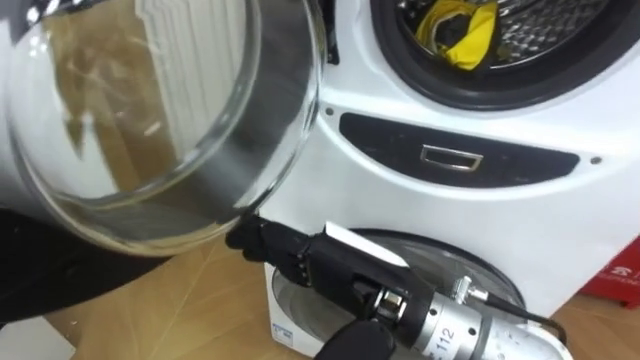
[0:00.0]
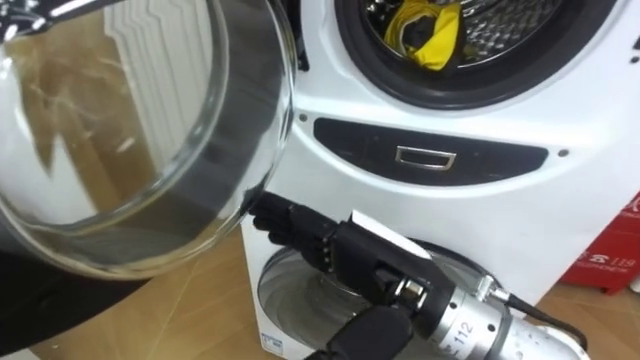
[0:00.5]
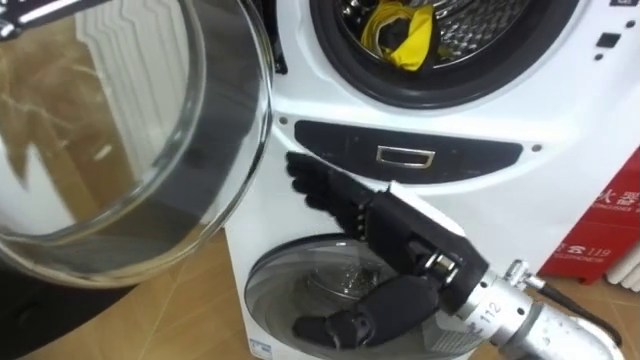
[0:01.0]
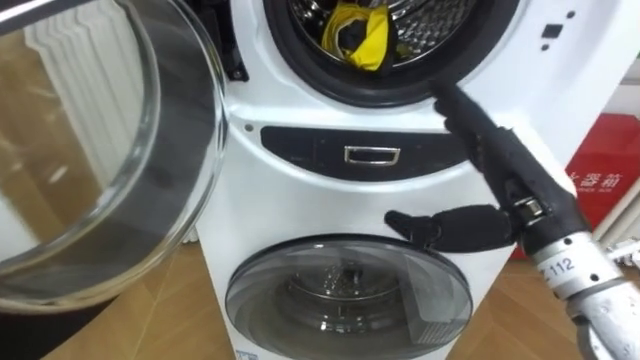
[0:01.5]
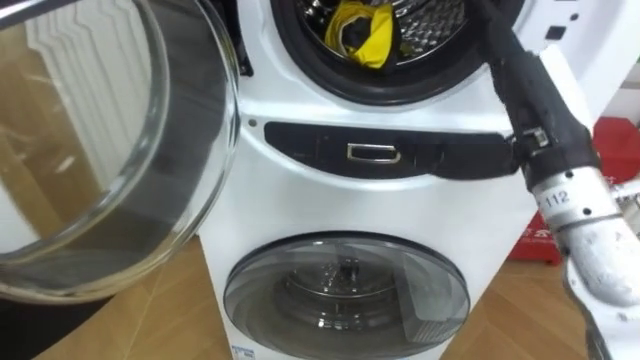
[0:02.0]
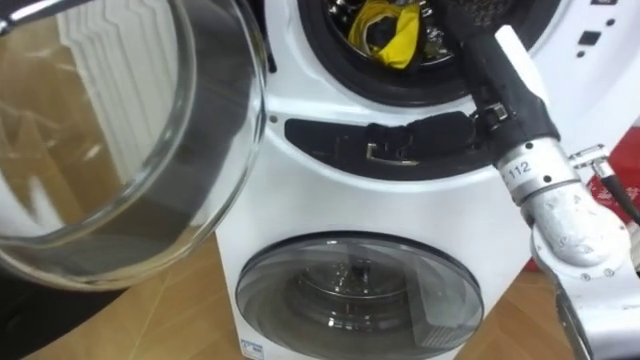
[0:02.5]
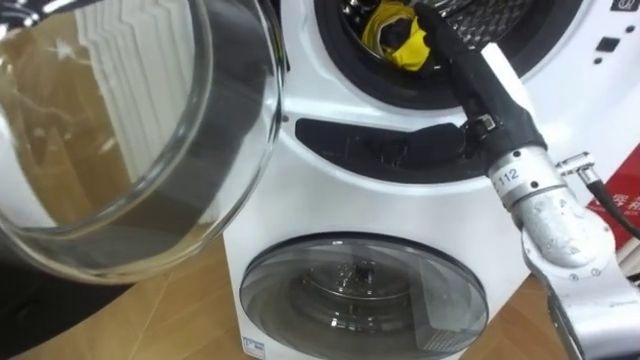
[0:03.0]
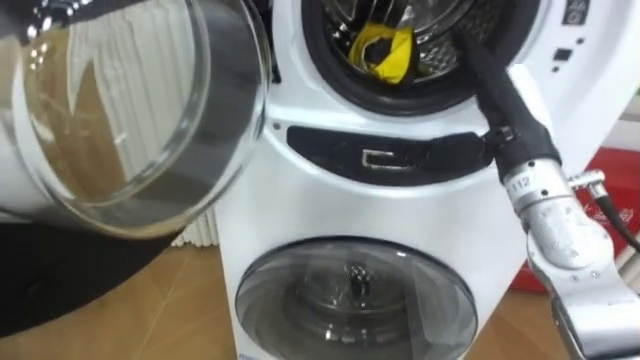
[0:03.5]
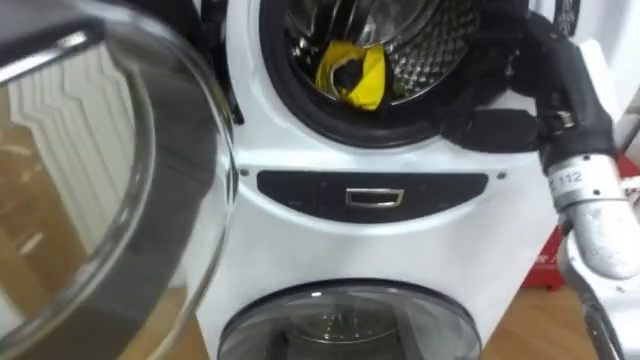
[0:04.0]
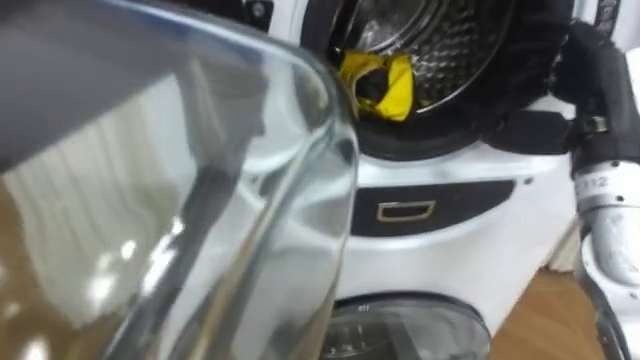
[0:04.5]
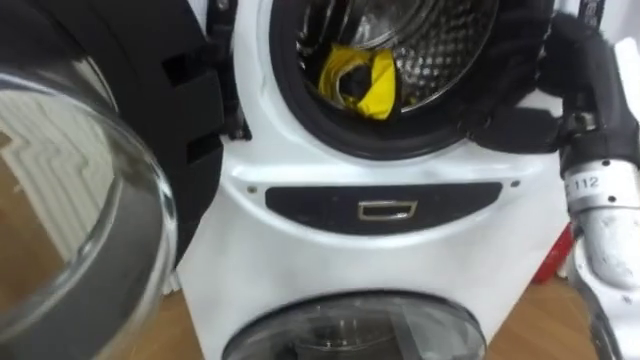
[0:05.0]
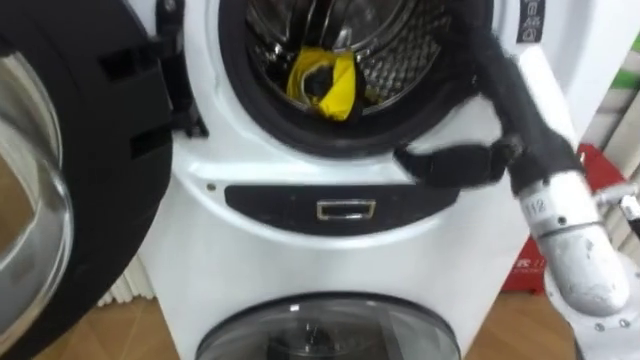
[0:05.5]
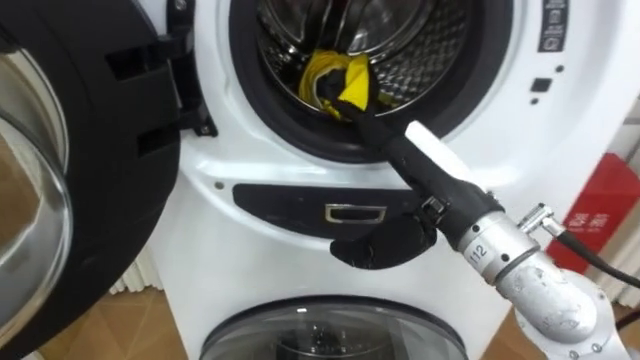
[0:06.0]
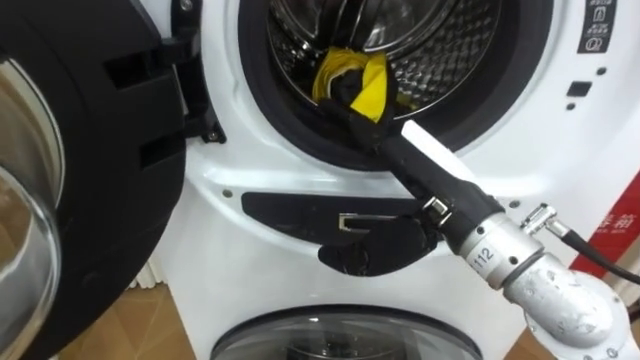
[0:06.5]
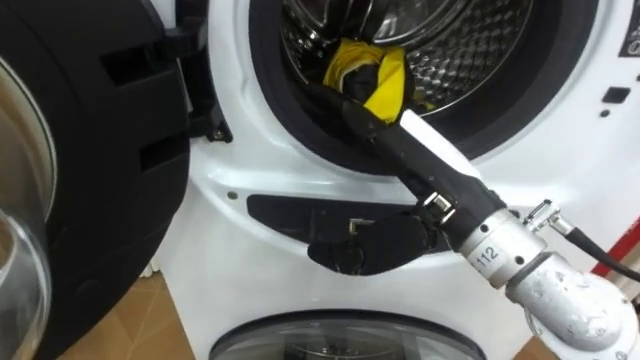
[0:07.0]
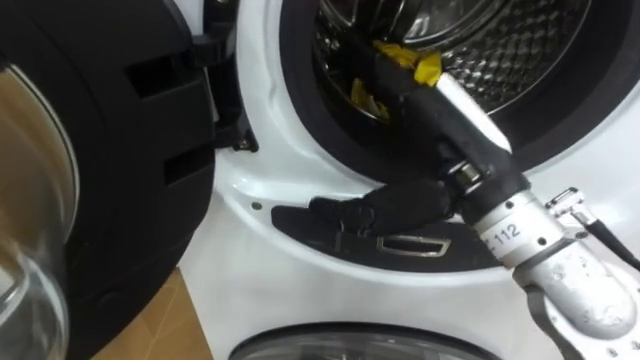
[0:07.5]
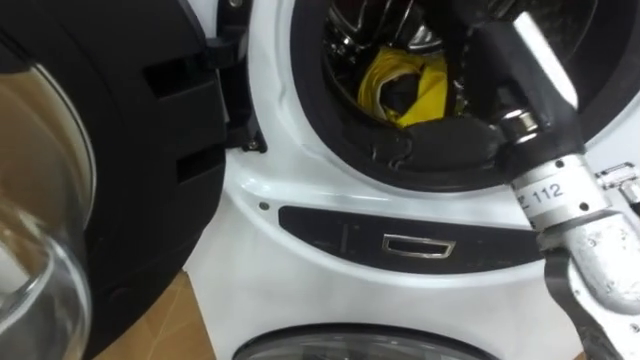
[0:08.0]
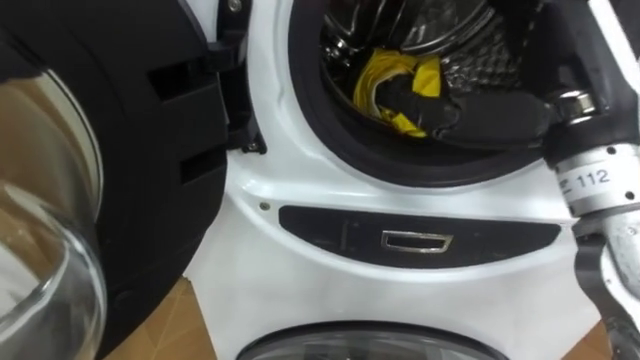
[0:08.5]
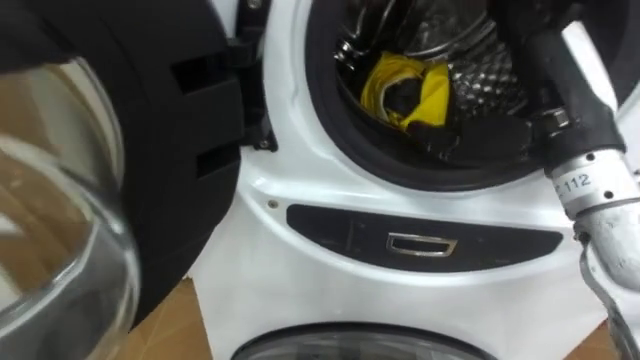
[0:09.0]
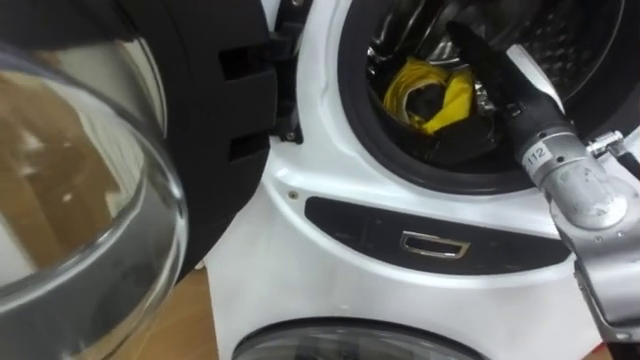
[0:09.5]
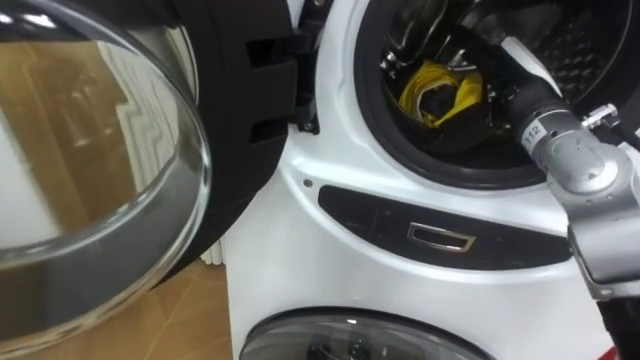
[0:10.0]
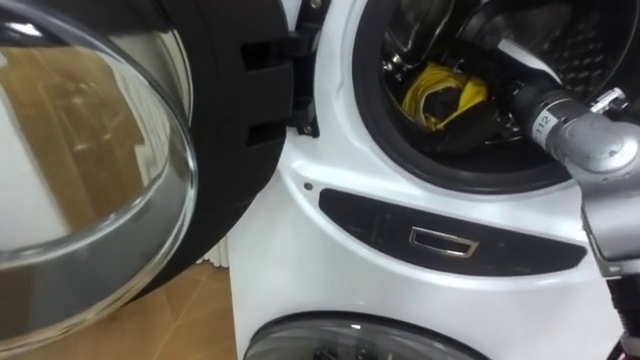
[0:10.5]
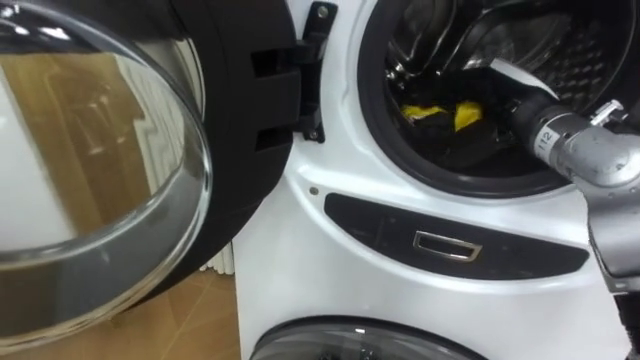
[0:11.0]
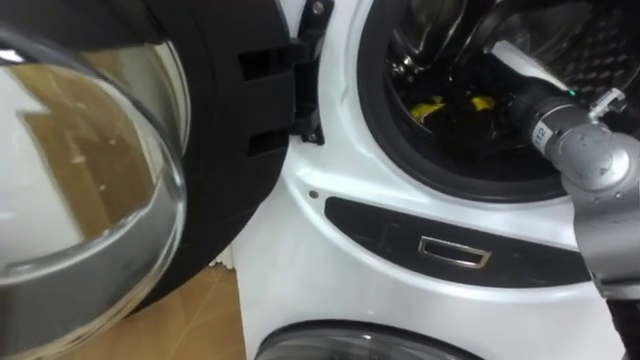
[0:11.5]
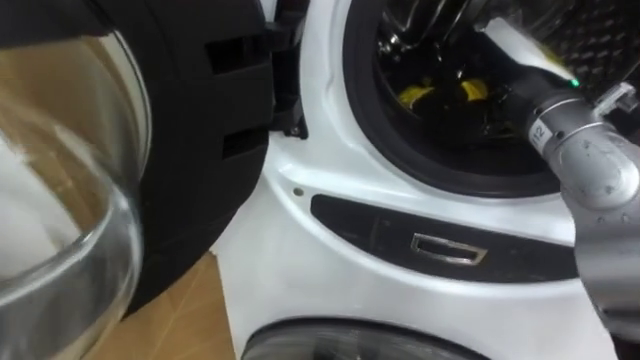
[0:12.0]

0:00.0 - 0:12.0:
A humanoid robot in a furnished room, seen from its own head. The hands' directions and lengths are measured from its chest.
Task of the whole recording: Open the washing machine door, take out the yellow clothes, place them in the box on the right, and close the washing machine door.
0:00.0 - 0:02.0: The right hand moves to the right, upward and forward, approximately 20 cm.
0:04.0 - 0:06.0: The right hand heads to the left, covering approximately 10 cm.
0:06.0 - 0:08.0: The right hand goes about 10 cm upward.
0:08.0 - 0:10.0: The right hand travels forward, downward and to the right by approximately 15 cm.
0:10.0 - 0:12.0: The right hand ends up about 5 cm from where it was, and closes.

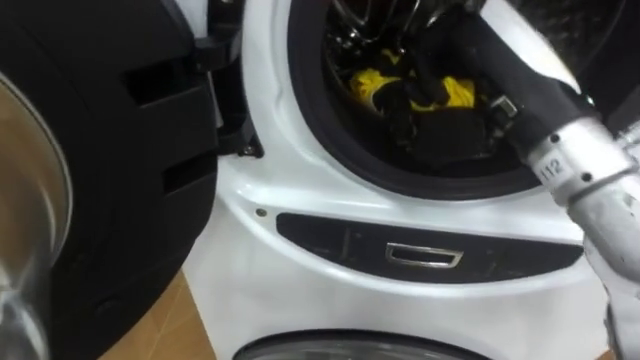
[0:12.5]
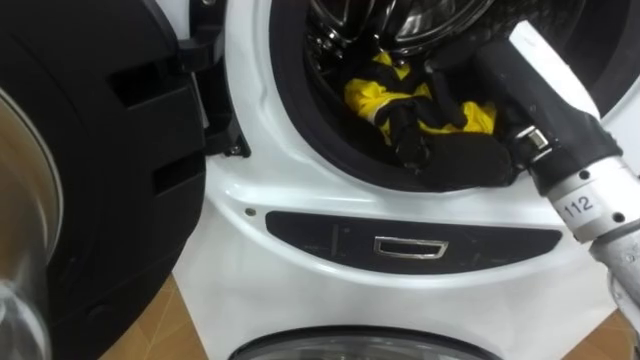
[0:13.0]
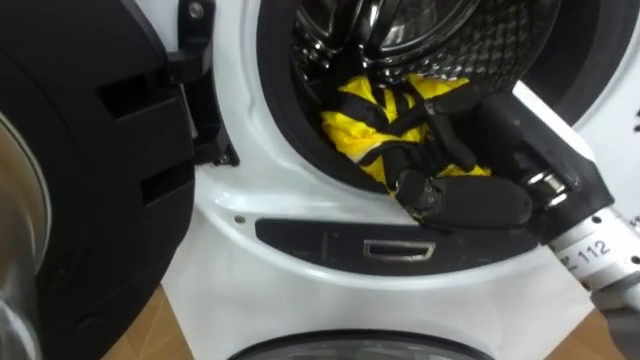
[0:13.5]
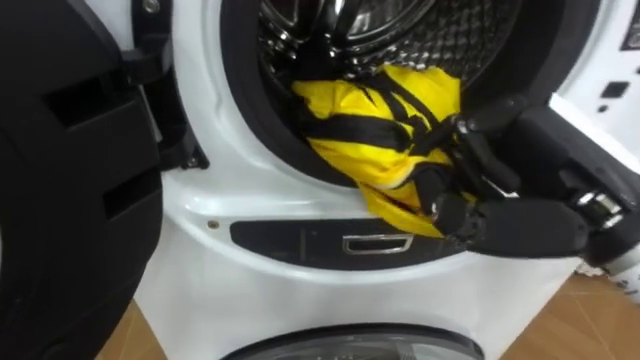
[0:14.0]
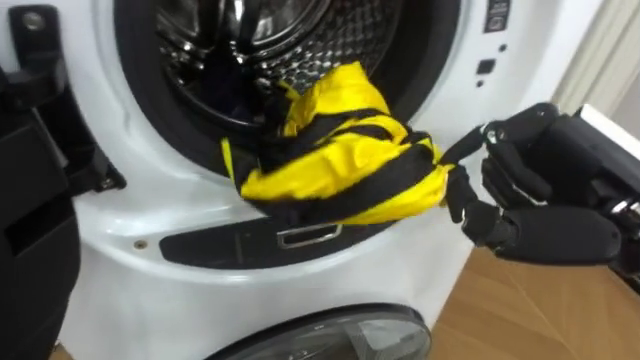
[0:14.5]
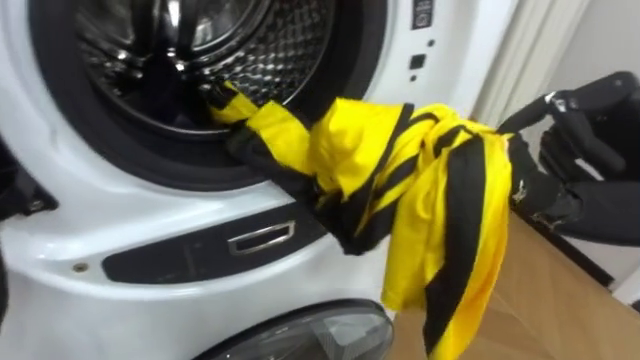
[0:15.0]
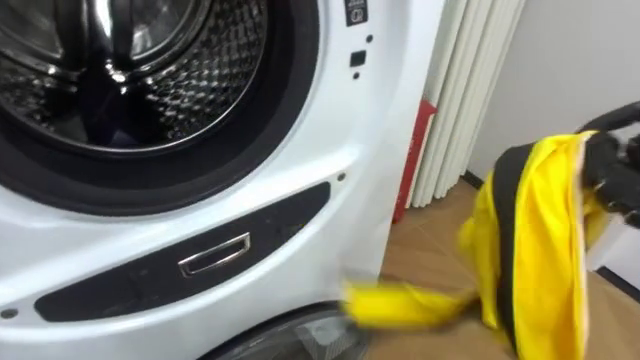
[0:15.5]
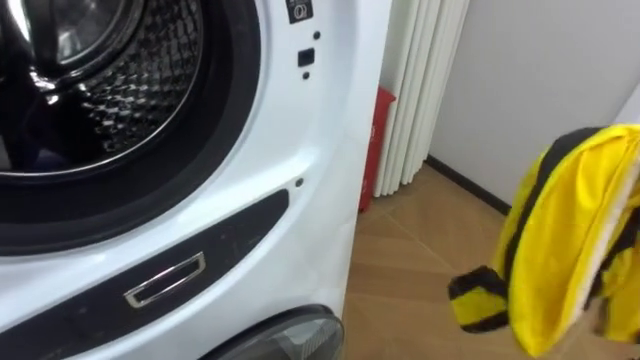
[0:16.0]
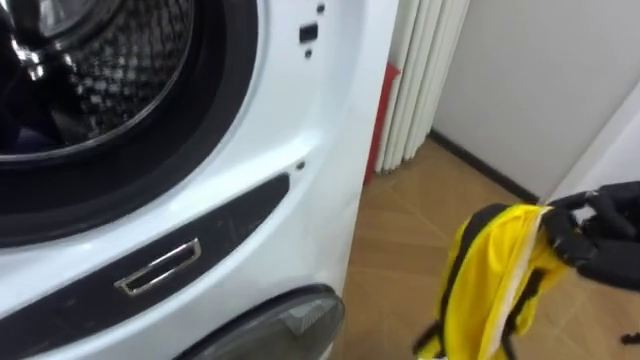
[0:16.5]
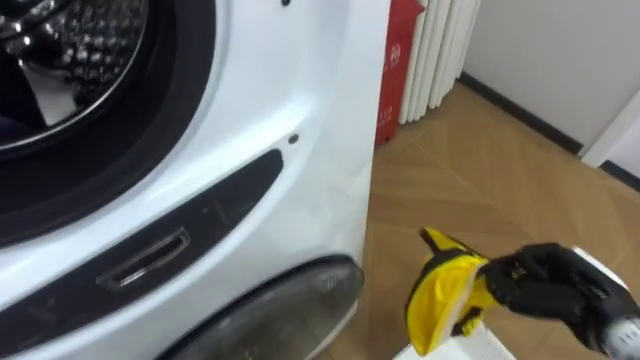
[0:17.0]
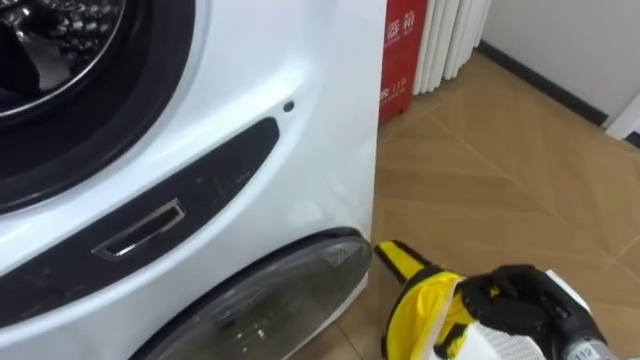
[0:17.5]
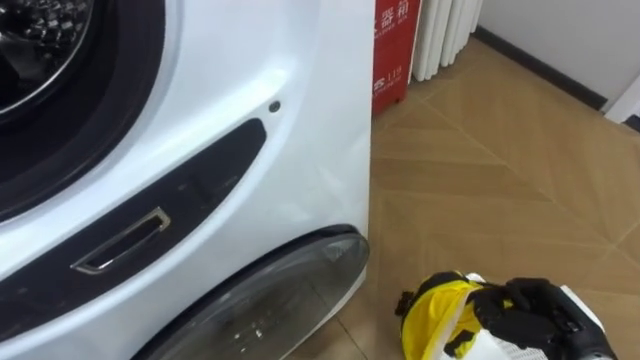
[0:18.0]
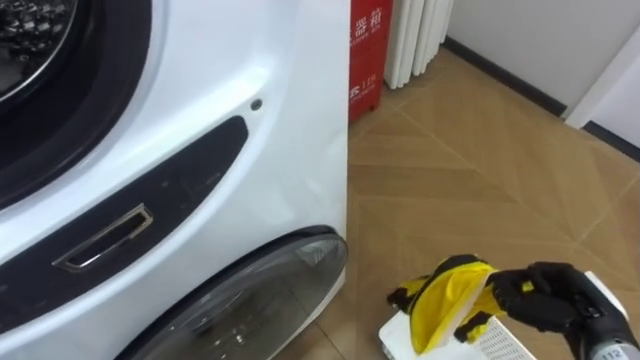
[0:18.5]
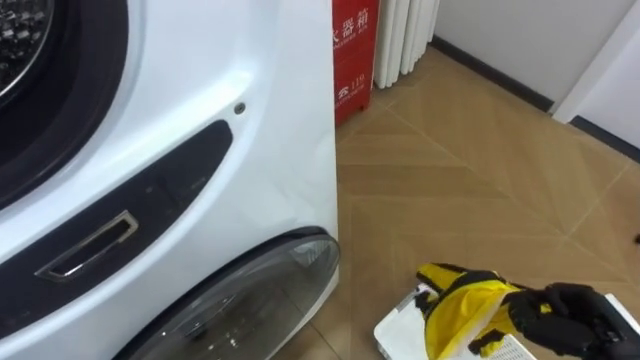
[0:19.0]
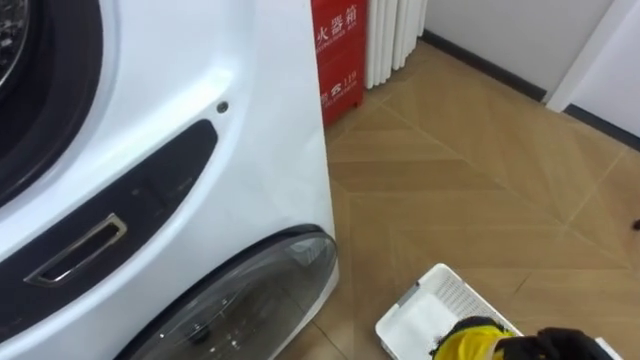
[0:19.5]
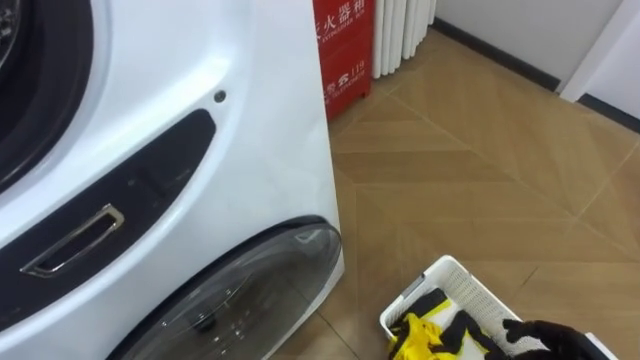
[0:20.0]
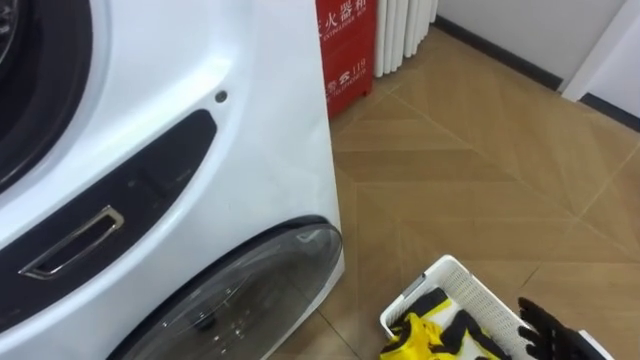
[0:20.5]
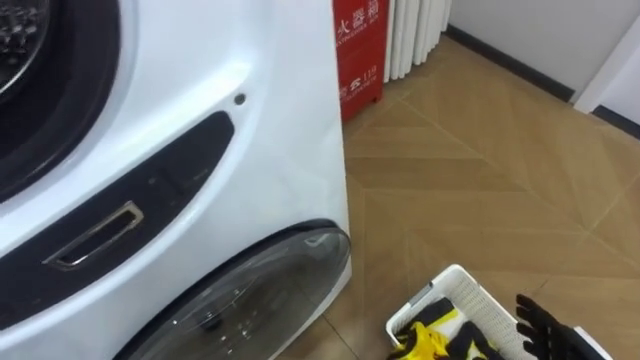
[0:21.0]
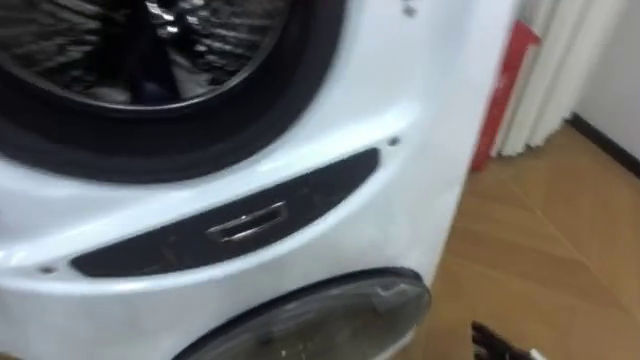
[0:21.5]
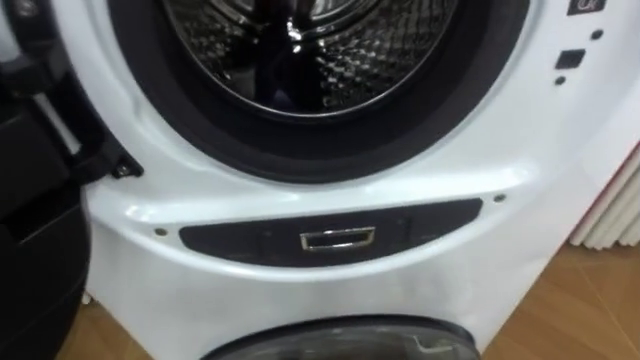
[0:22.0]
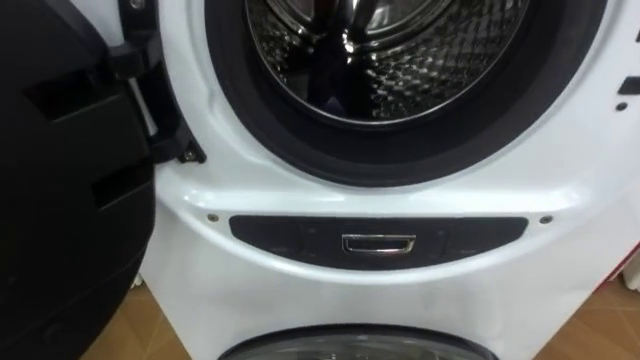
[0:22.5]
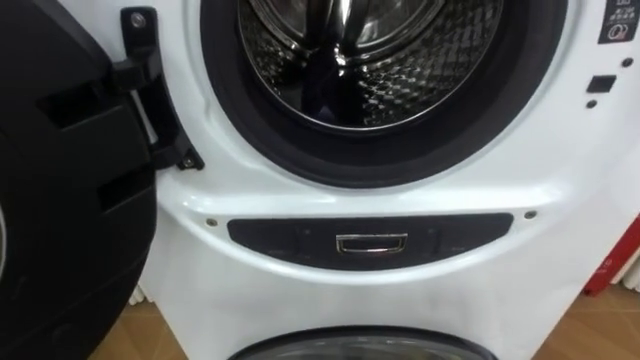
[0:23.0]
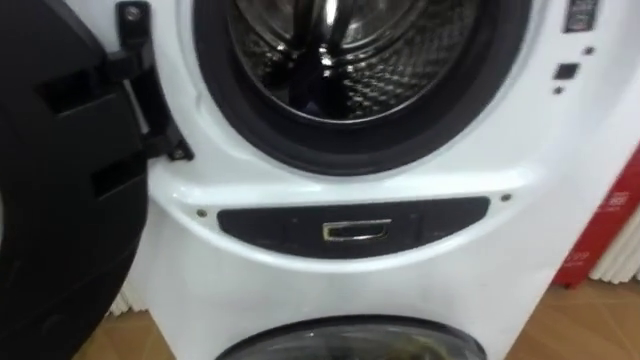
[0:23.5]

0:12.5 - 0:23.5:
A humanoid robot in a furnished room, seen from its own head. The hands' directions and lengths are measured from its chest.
Task of the whole recording: Open the washing machine door, take out the yellow clothes, place them in the box on the right, and close the washing machine door.
0:12.5 - 0:14.5: The right hand goes approximately 10 cm backward, to the right and downward.
